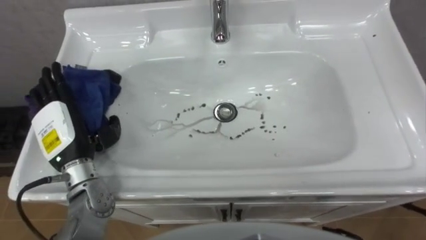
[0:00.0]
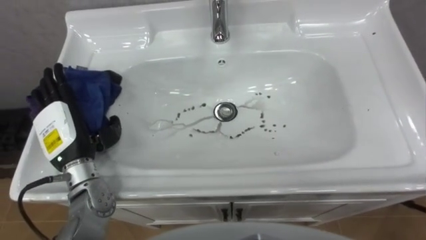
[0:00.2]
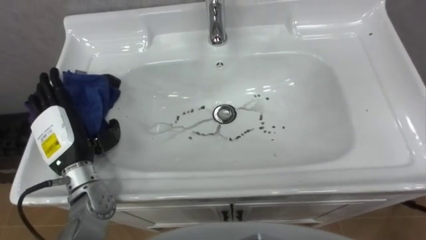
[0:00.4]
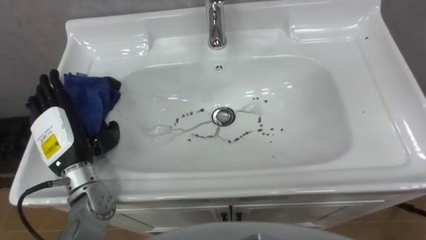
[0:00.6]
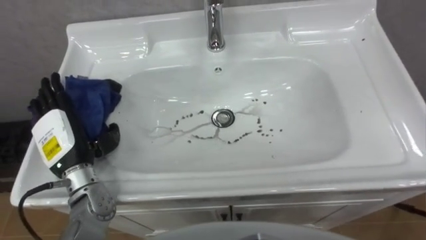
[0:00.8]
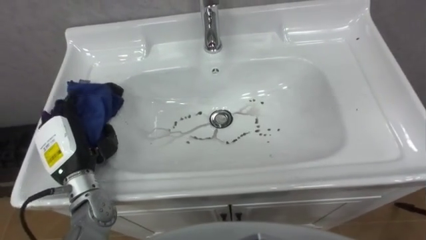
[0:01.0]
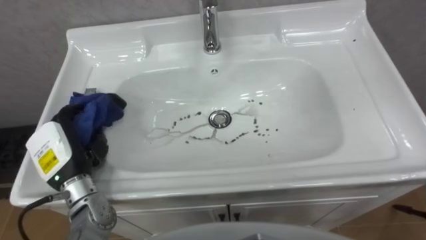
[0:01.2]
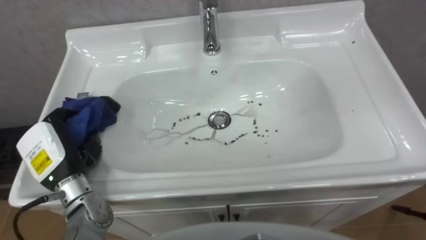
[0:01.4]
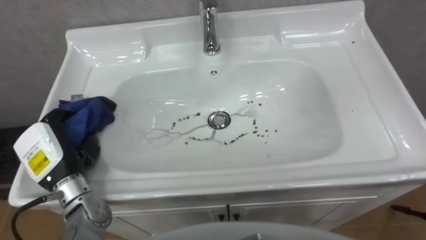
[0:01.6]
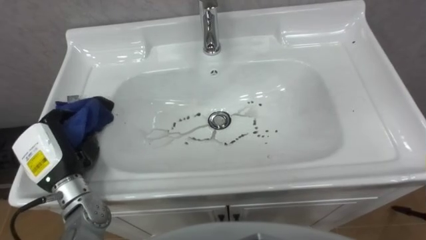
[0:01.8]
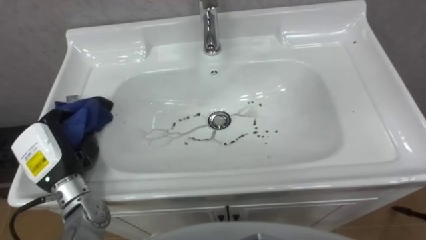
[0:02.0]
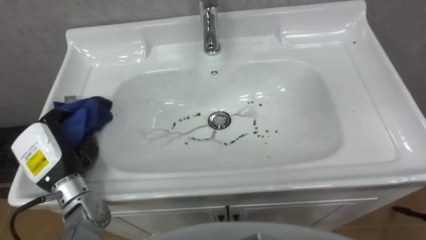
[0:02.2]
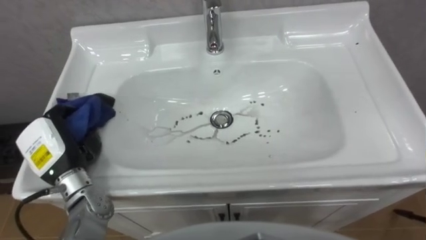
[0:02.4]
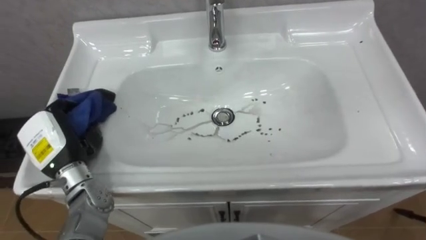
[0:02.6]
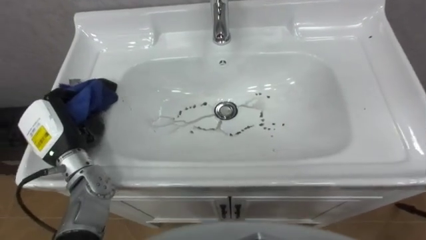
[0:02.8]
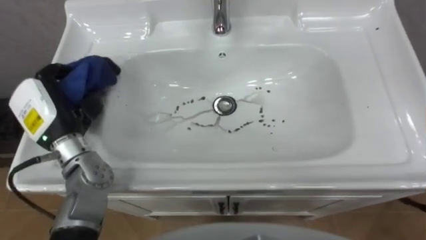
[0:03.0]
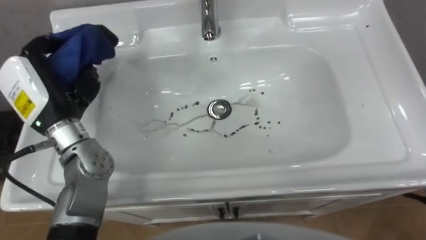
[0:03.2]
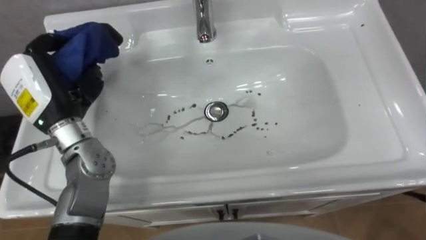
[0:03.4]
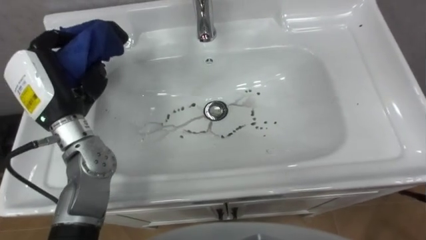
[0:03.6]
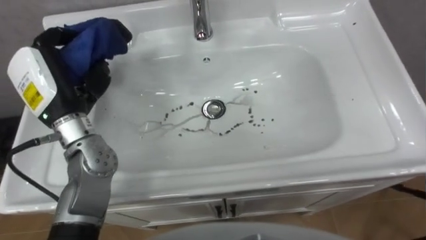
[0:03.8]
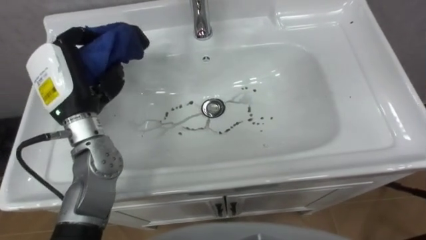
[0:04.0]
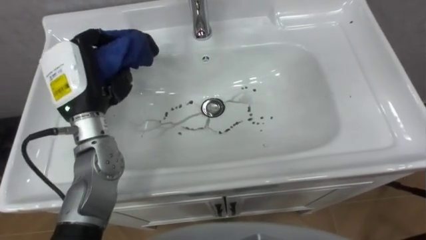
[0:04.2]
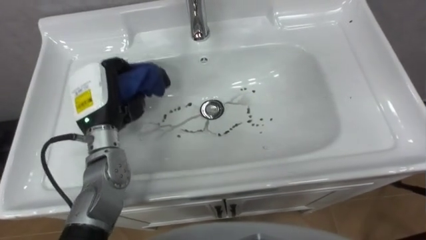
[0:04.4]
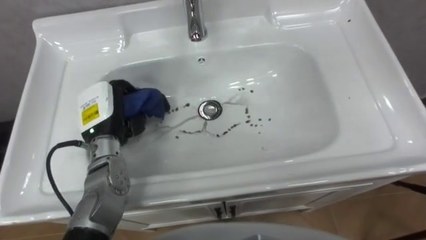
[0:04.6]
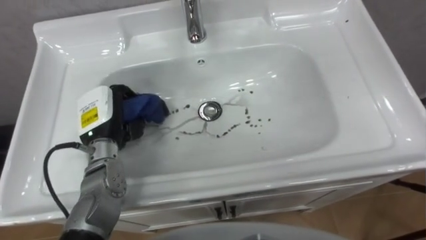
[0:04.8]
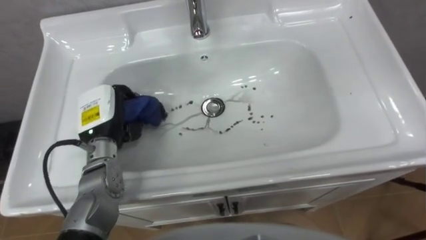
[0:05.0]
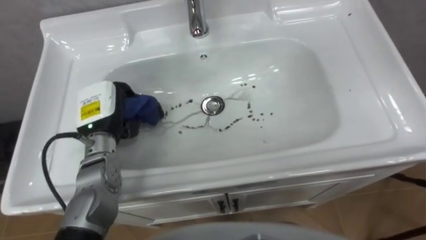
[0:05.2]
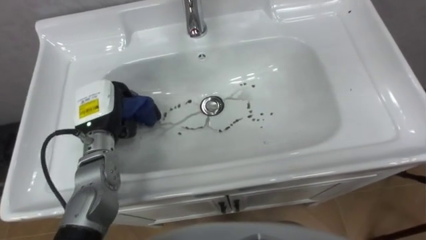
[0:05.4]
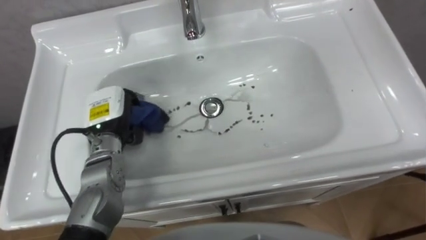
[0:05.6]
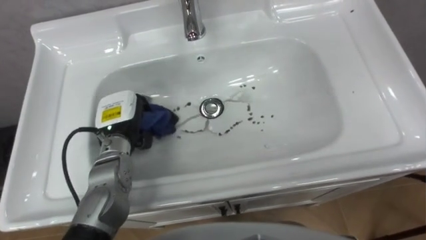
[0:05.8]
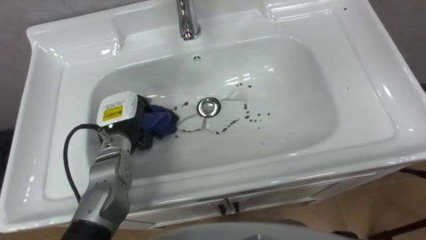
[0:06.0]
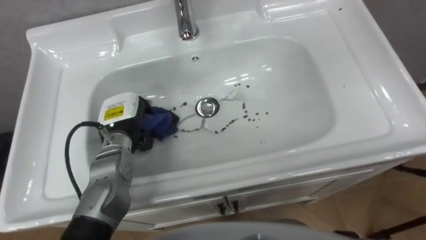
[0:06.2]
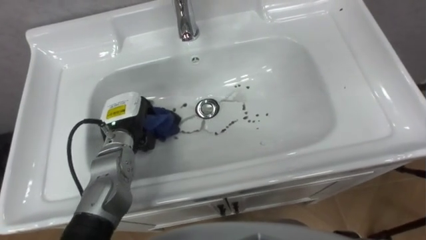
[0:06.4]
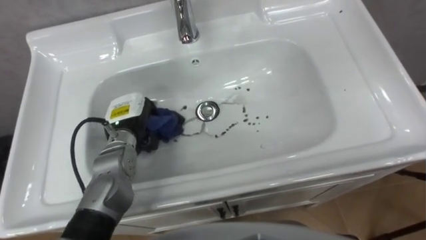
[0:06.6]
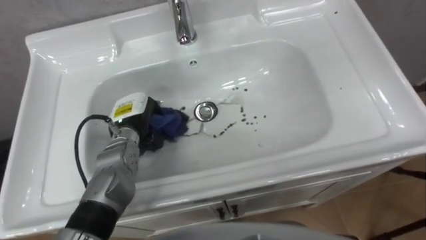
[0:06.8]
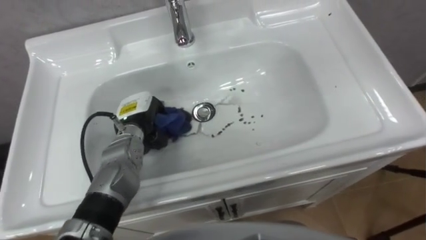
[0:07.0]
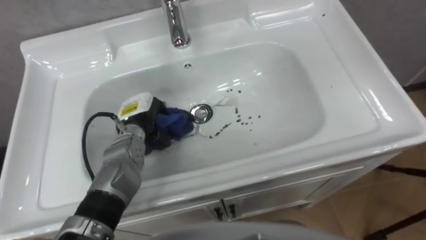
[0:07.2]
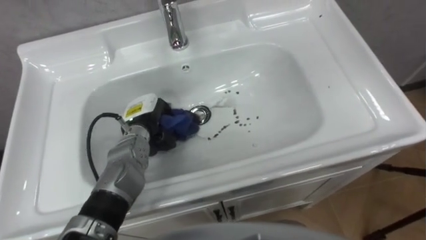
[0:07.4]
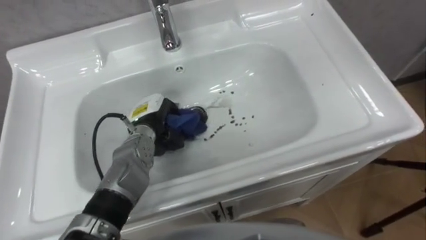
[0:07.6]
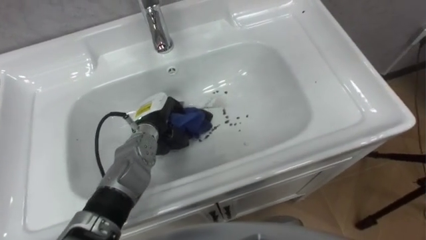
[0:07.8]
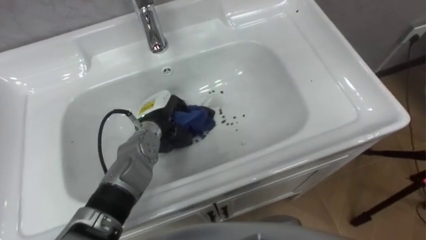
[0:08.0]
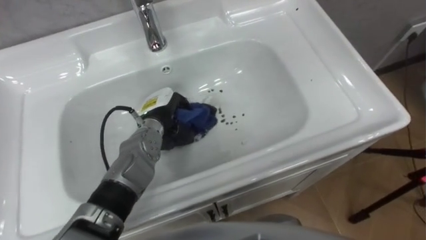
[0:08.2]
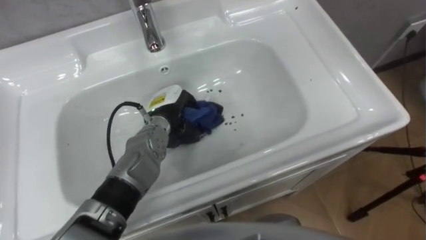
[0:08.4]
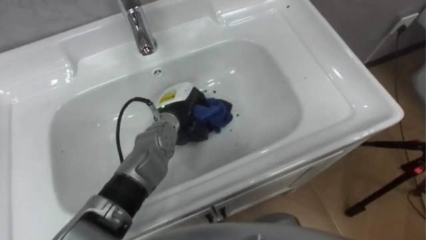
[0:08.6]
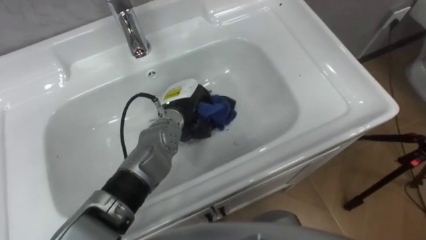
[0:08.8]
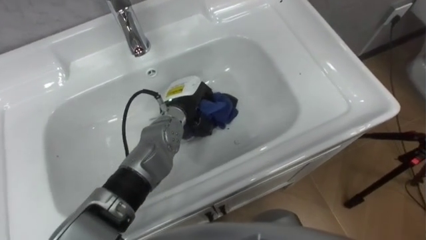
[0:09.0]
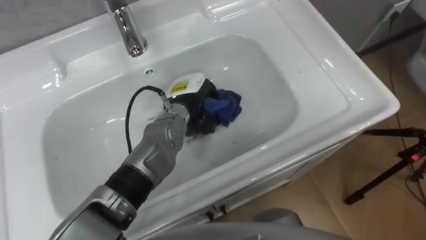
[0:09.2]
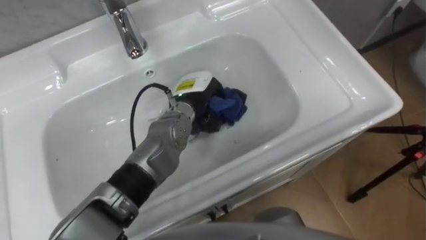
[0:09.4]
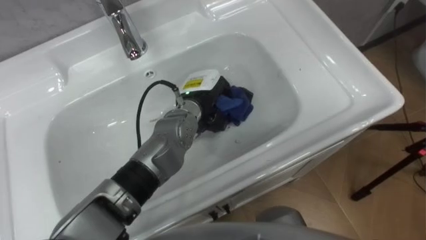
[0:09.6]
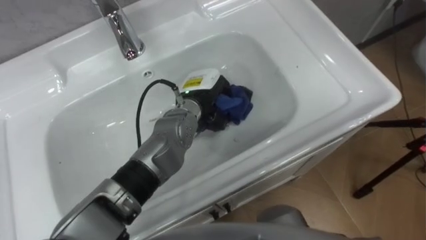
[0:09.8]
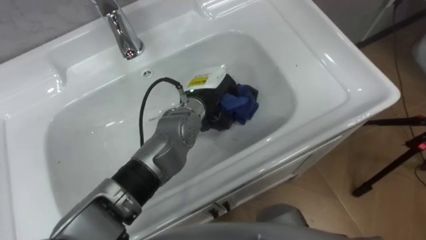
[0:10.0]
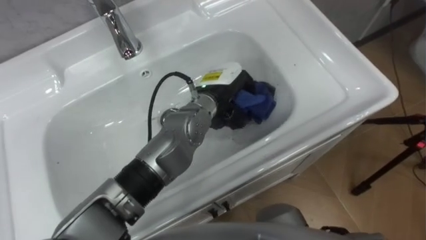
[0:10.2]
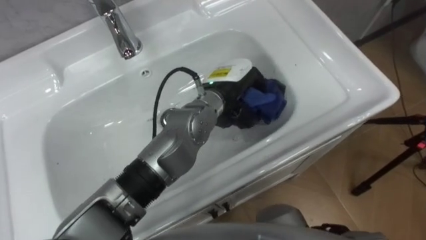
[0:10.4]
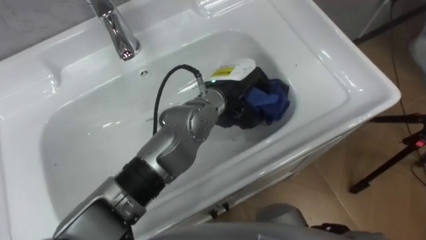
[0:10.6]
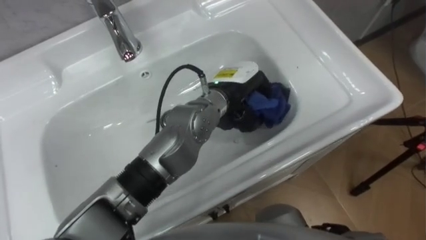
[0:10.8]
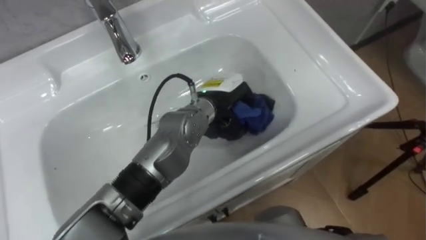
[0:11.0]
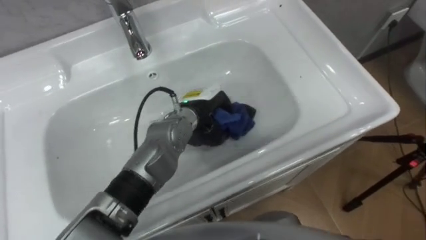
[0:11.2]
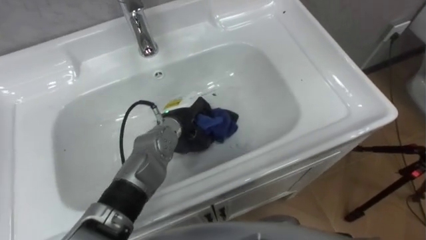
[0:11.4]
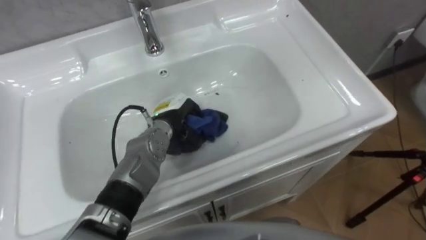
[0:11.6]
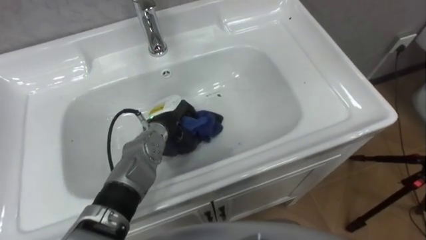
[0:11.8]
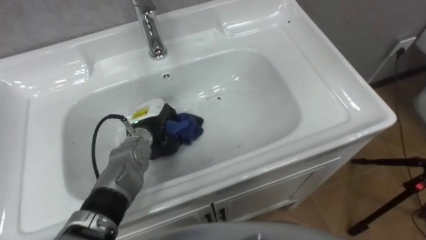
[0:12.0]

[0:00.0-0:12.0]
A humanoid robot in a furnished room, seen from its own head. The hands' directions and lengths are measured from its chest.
Task of the whole recording: Use the cloth on the right to wipe away the black stain in the sink.
0:00.0 to 0:01.6: The left hand closes its fingers.
0:01.6 to 0:03.0: The left hand moves upward and forward, about 10 cm.
0:03.0 to 0:04.4: The left hand is displaced to the right by about 5 cm.
0:04.4 to 0:06.0: The left hand travels downward by approximately 5 cm.
0:06.0 to 0:07.6: The left hand goes some 5 cm to the right.
0:07.6 to 0:09.0: The left hand shifts roughly 10 cm to the right.
0:09.0 to 0:10.4: The left hand goes some 10 cm to the right and upward.
0:10.4 to 0:12.0: The left hand travels to the left and downward by approximately 20 cm.

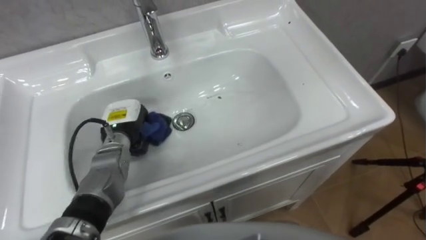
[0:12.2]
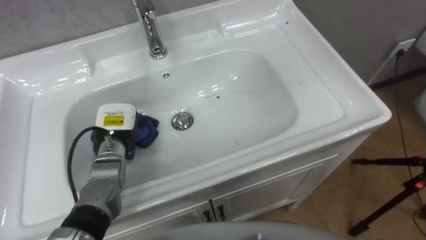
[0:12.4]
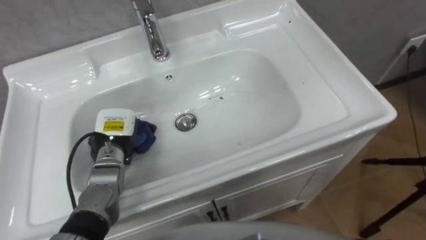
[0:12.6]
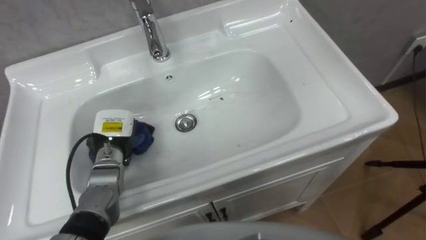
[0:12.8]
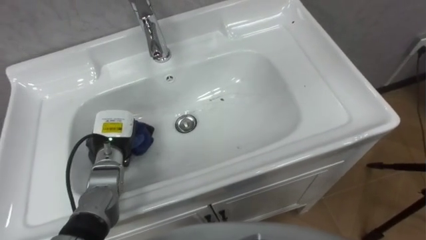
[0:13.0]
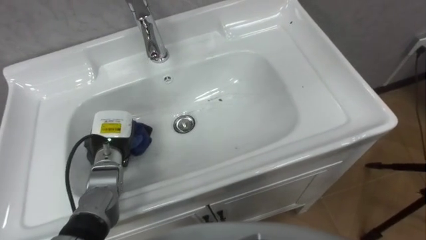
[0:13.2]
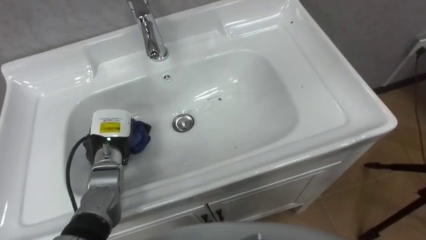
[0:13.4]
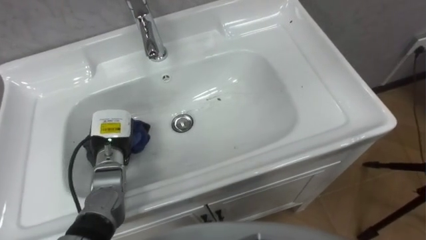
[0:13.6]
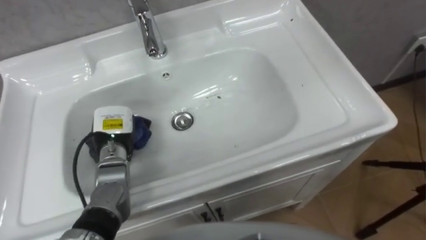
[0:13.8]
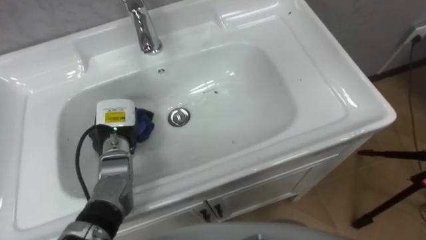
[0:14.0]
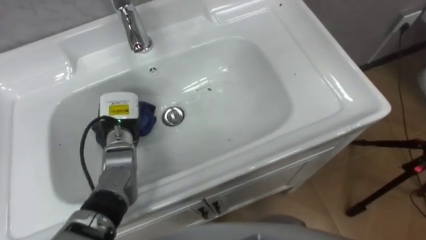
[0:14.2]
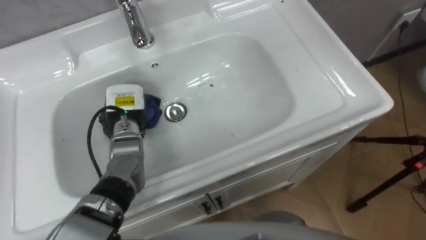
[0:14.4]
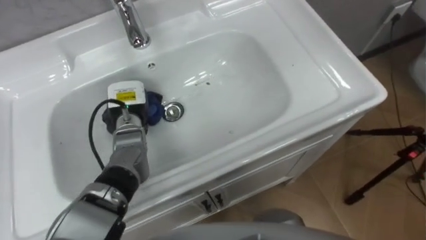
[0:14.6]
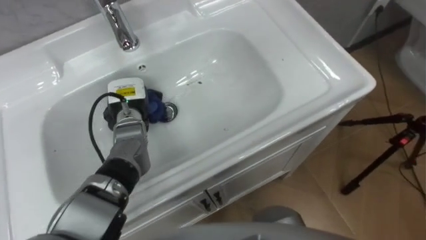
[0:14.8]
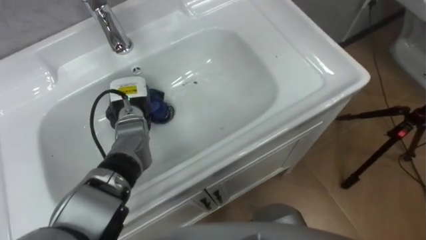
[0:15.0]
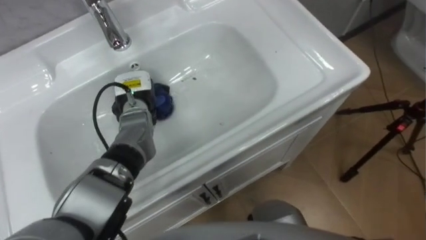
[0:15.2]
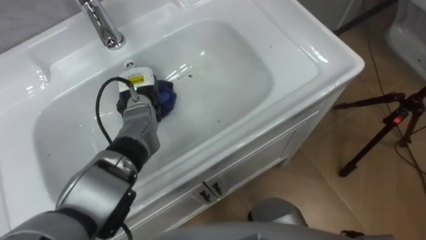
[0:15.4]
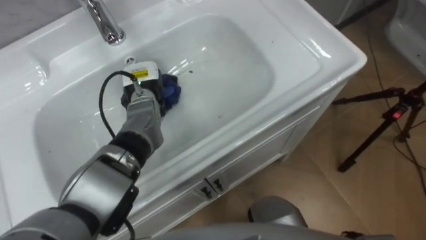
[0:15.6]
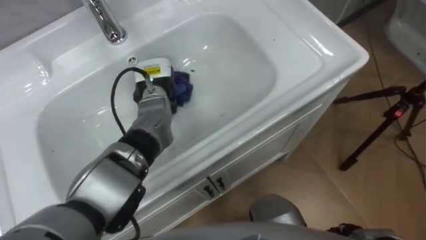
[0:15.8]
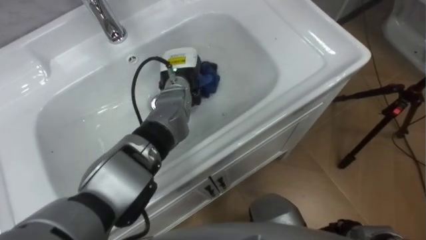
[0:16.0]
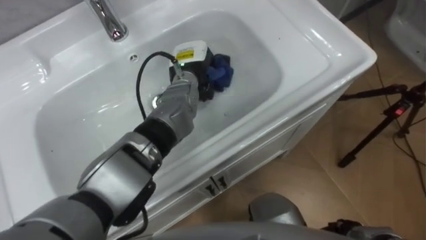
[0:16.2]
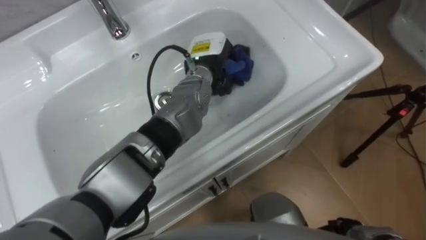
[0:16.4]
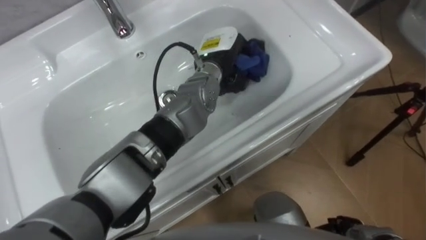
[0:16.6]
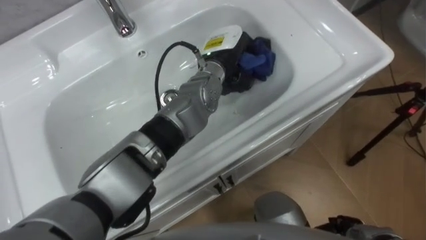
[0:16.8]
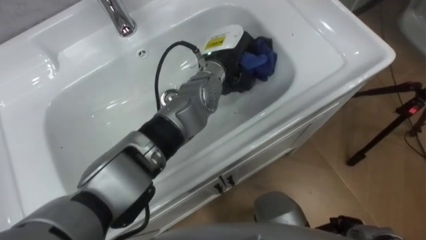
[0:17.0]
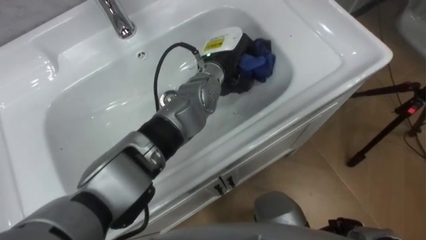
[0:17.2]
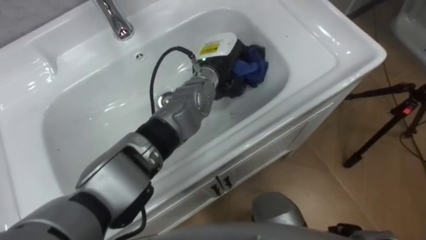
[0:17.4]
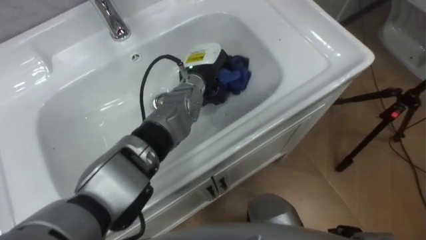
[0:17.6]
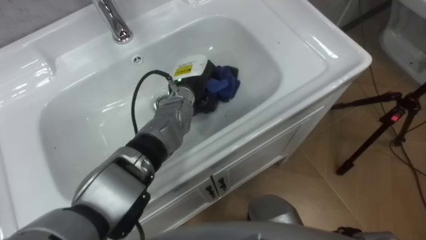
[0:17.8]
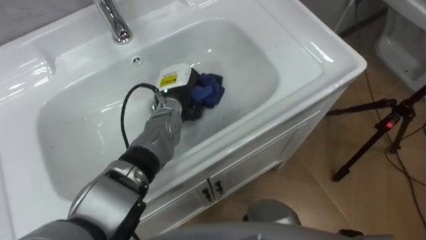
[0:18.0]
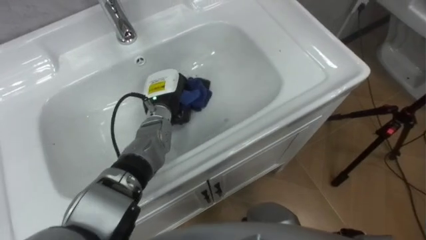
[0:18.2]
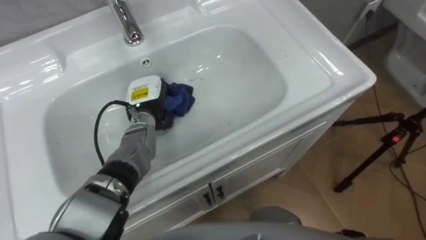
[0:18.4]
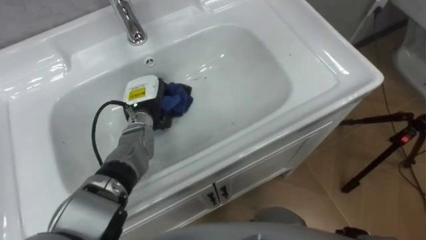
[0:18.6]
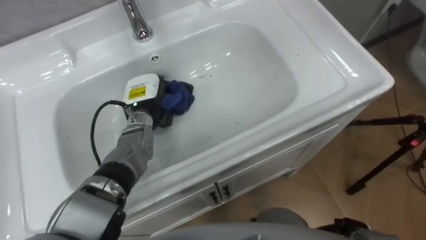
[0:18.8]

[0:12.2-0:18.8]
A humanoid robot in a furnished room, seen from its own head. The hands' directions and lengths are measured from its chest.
Task of the whole recording: Use the cloth on the right to wipe away the black stain in the sink.
0:13.8 to 0:15.4: The left hand is displaced forward and to the right by roughly 10 cm.
0:15.4 to 0:17.2: The left hand is displaced to the right and upward by about 20 cm.
0:17.2 to 0:18.8: The left hand shifts about 20 cm to the left and downward.
